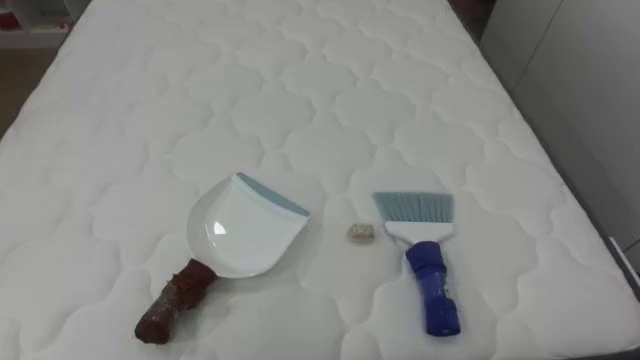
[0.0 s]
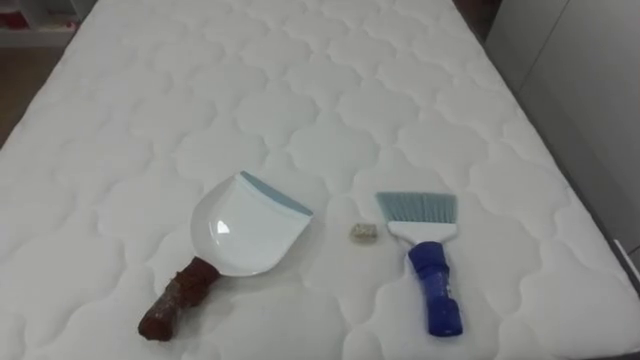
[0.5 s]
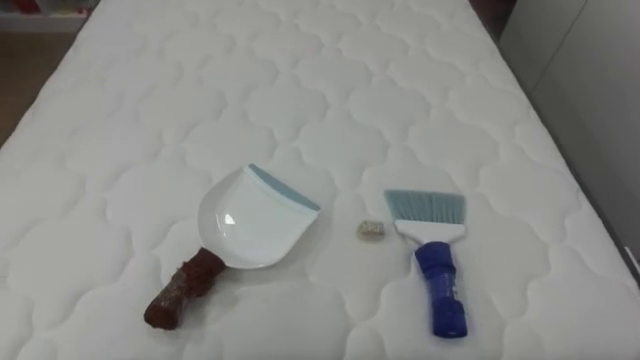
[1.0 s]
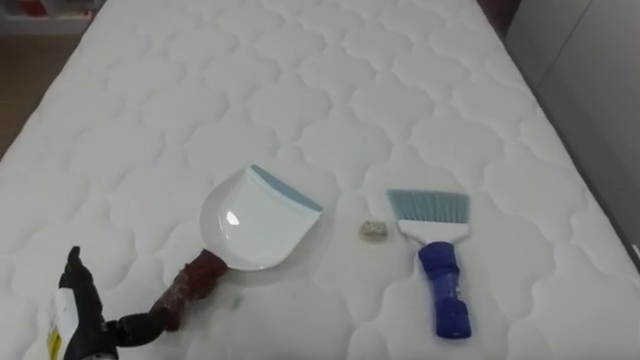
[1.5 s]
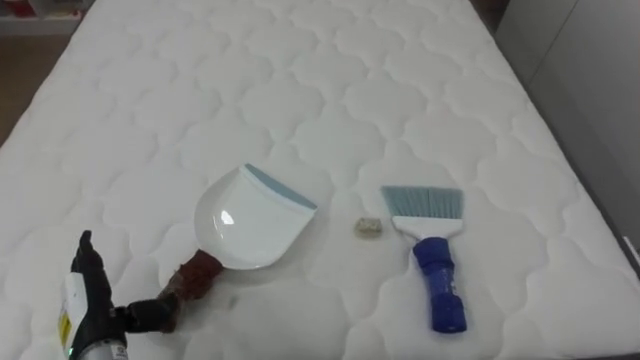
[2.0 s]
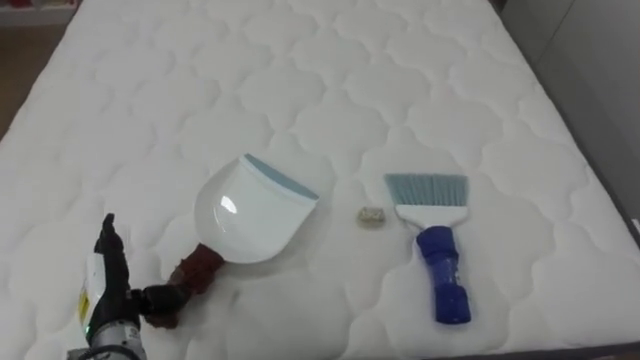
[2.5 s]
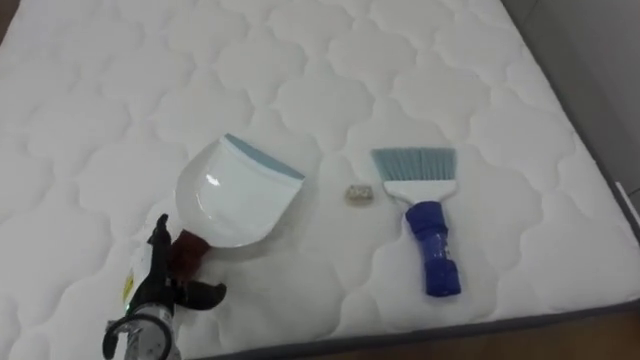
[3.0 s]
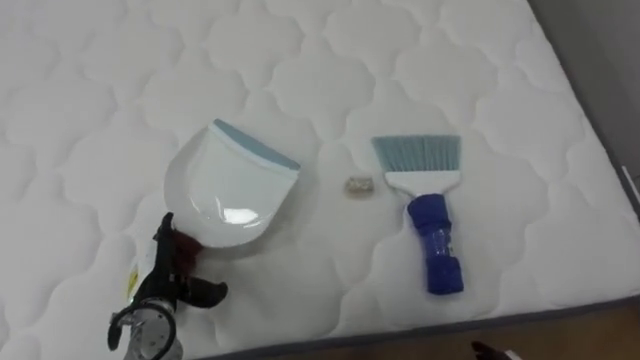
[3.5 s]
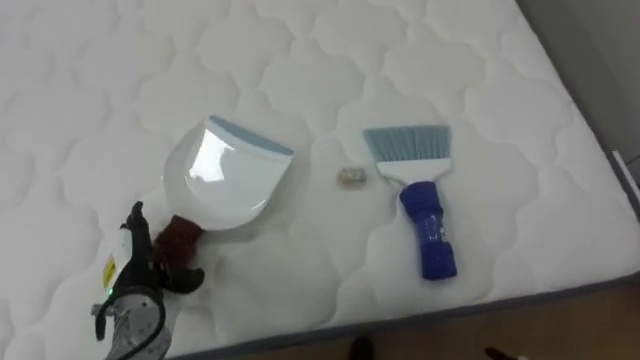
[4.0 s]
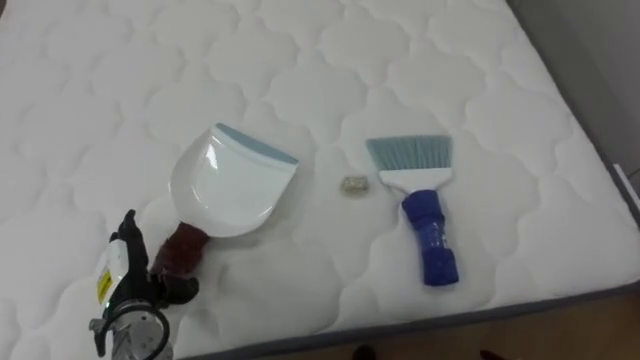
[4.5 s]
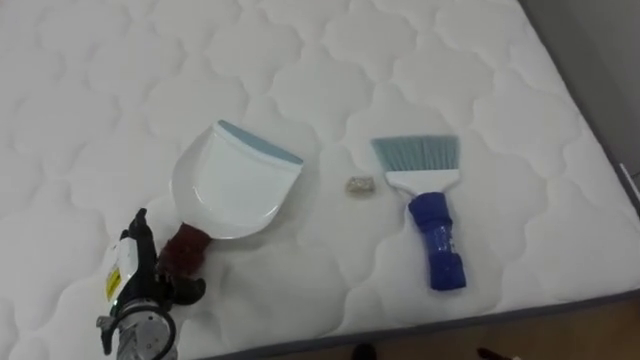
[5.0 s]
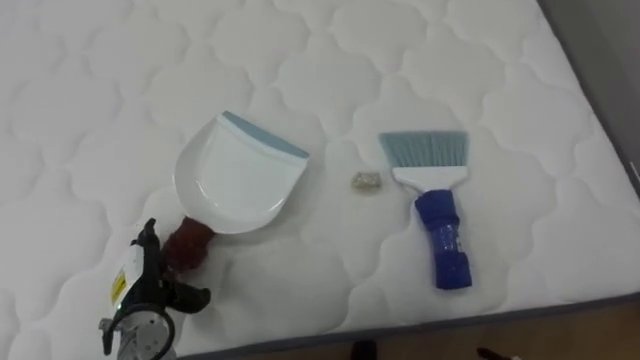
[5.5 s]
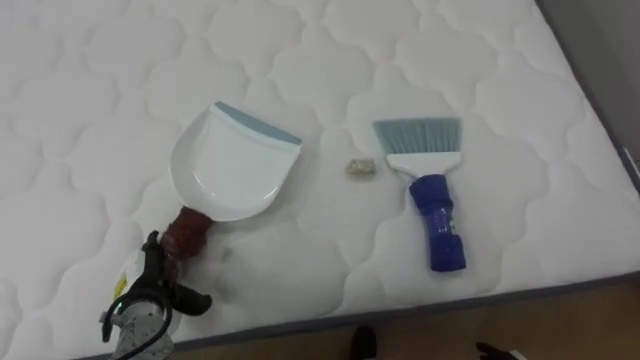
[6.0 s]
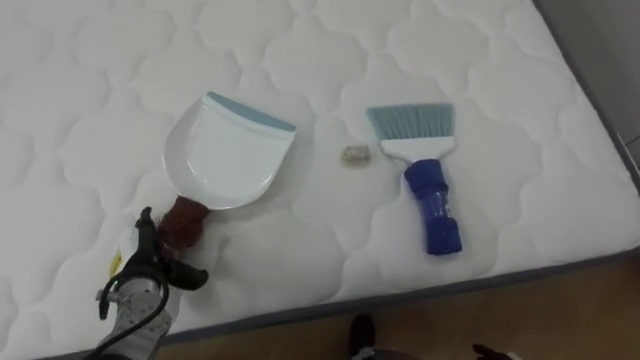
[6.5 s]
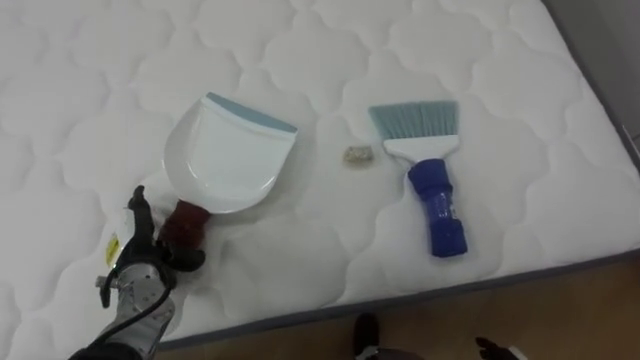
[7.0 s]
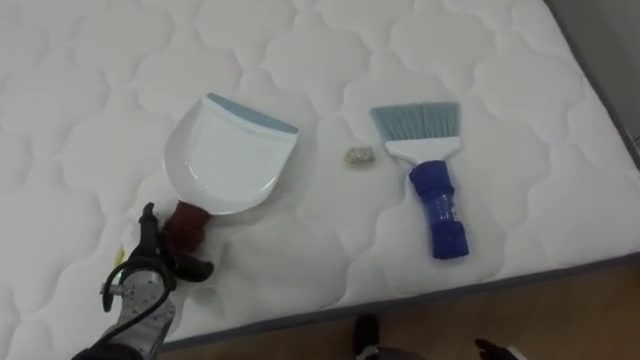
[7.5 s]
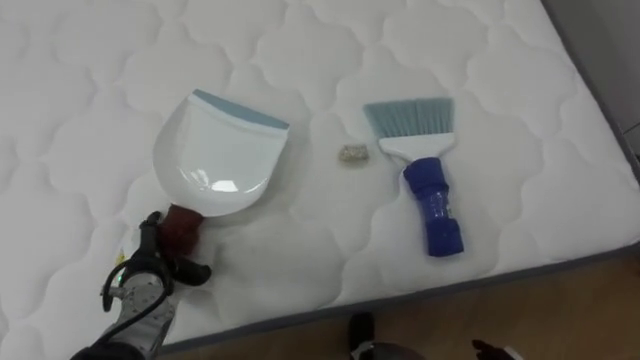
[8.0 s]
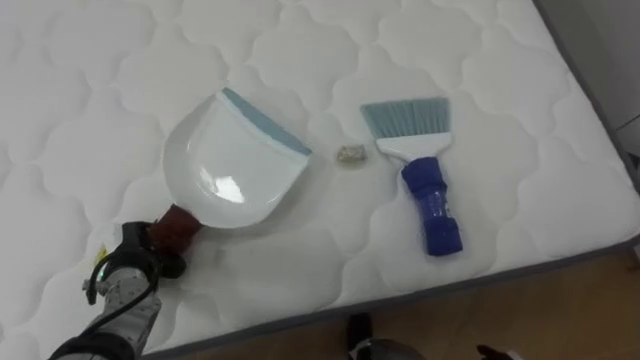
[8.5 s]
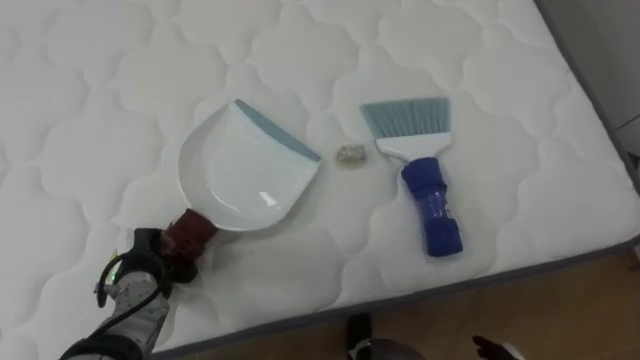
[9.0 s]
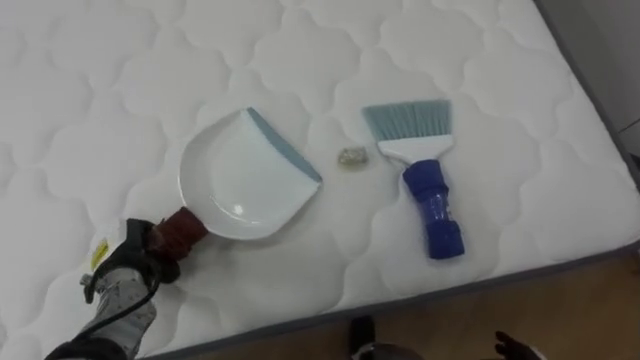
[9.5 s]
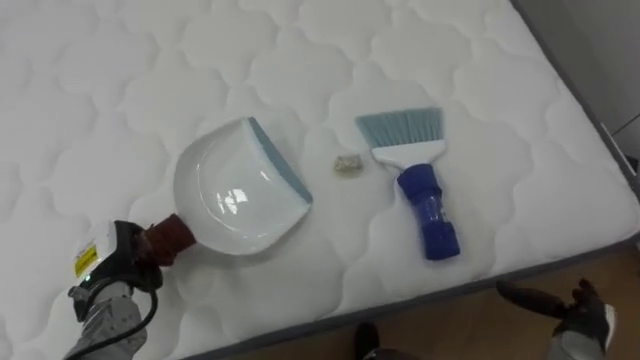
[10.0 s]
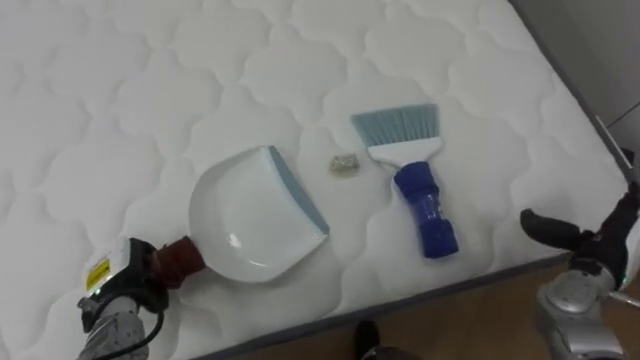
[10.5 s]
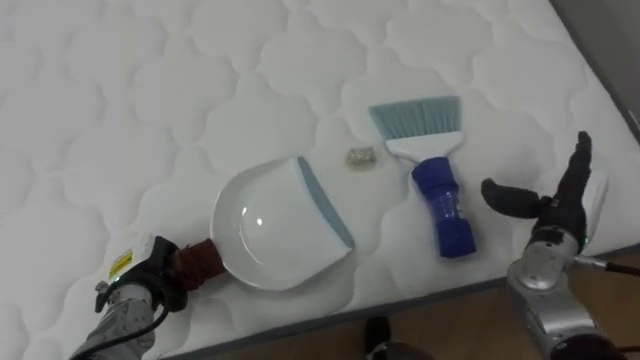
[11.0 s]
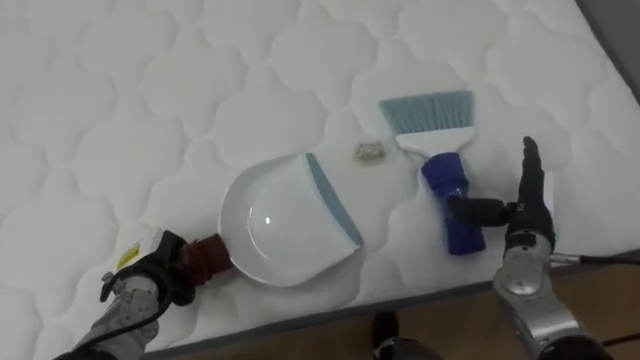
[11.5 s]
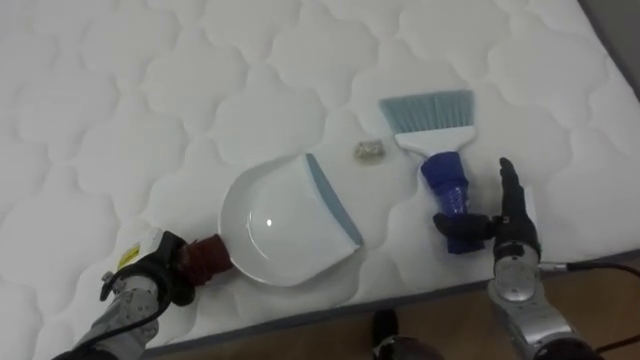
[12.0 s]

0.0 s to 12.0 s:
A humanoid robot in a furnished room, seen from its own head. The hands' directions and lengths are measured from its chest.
Task of the whole recording: Pick up the brush on your right and the dustpan on your left. Use the brush to sweep the crumpled paper on the bed into the dustpan, then turn left and empty it into the basket.
2.0 to 4.0 s: The left hand goes approximately 5 cm forward.
8.0 to 10.0 s: The left hand closes its fingers.
10.0 to 12.0 s: The left hand moves approximately 5 cm, while the right hand heads forward, upward and to the left, covering about 15 cm.

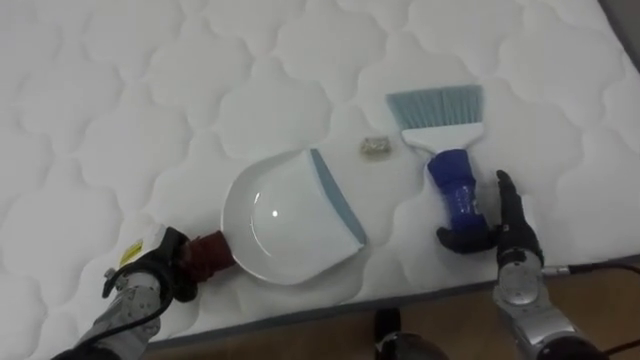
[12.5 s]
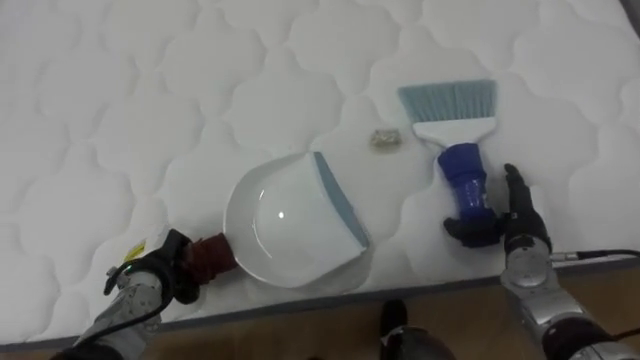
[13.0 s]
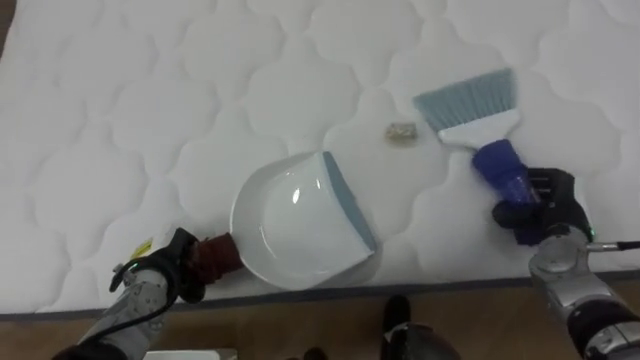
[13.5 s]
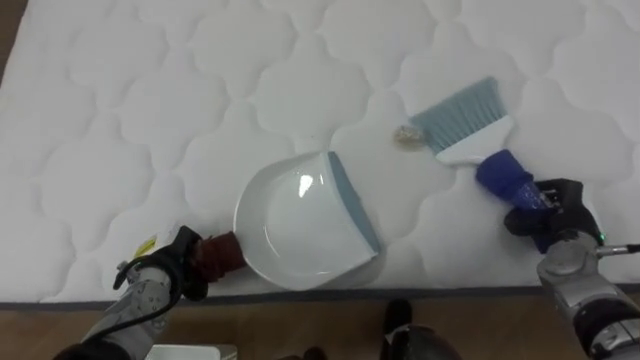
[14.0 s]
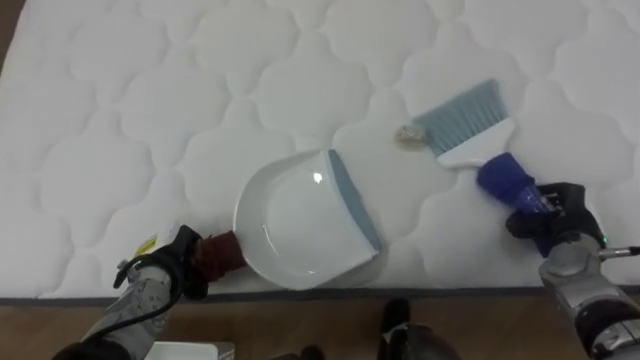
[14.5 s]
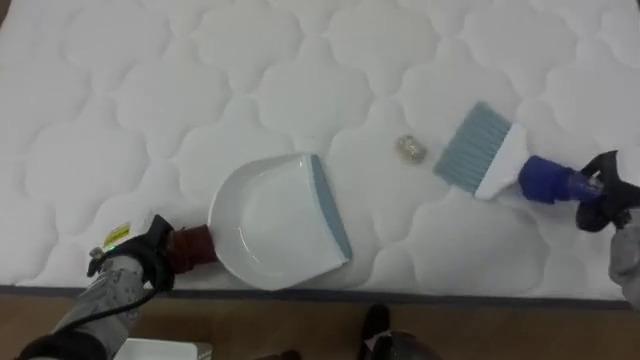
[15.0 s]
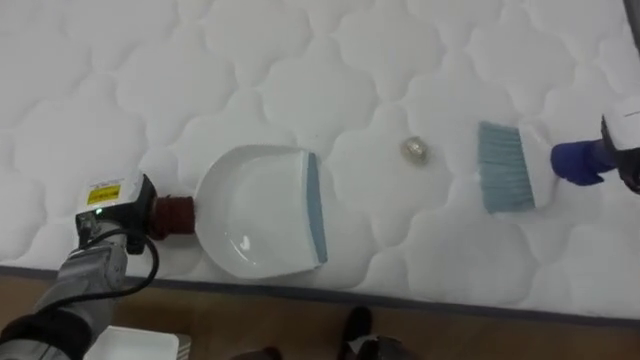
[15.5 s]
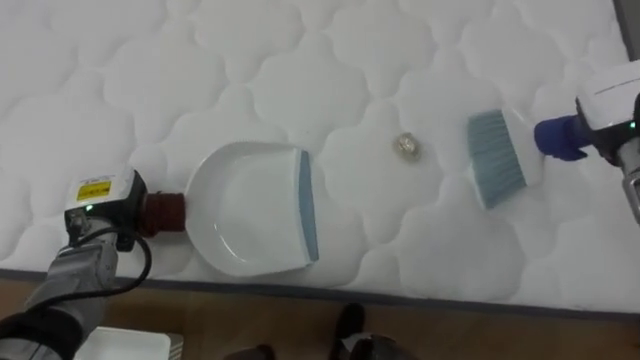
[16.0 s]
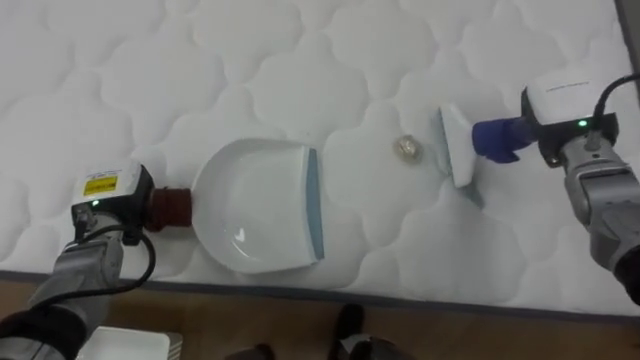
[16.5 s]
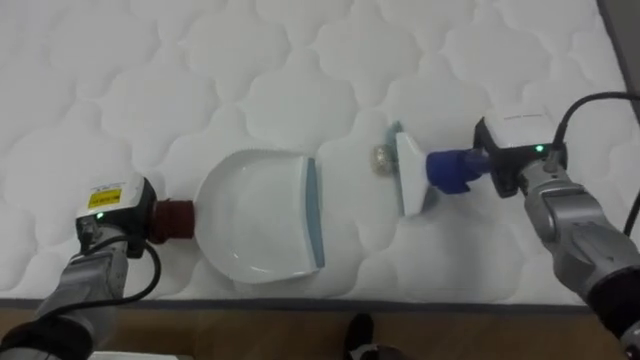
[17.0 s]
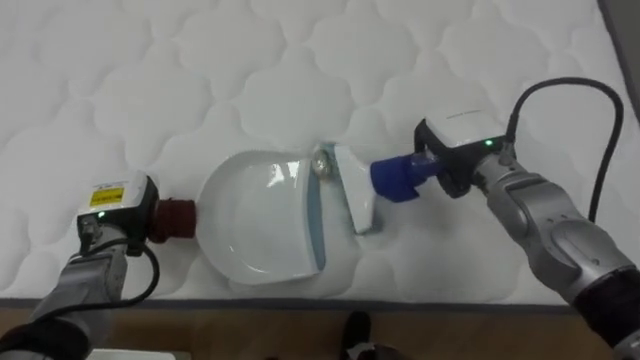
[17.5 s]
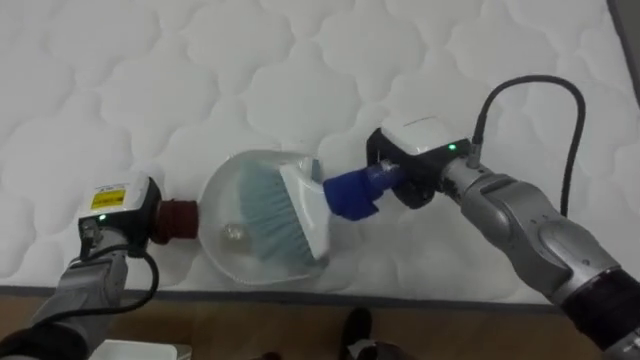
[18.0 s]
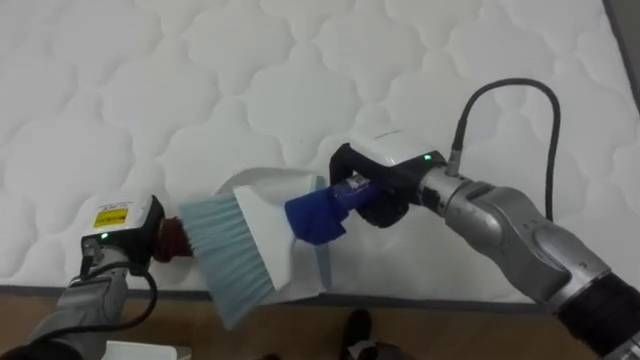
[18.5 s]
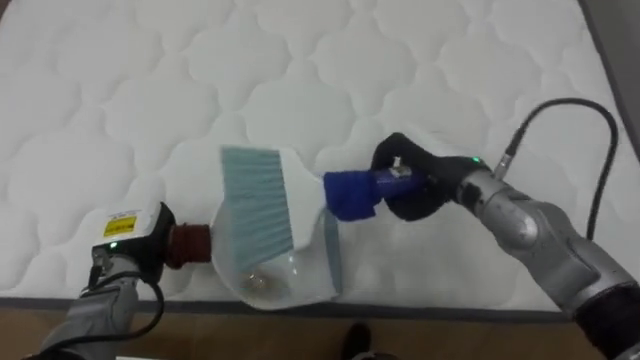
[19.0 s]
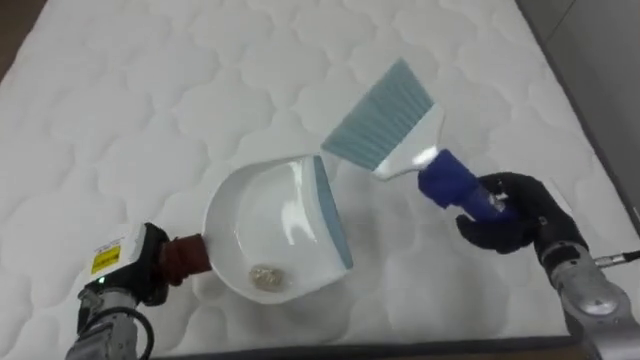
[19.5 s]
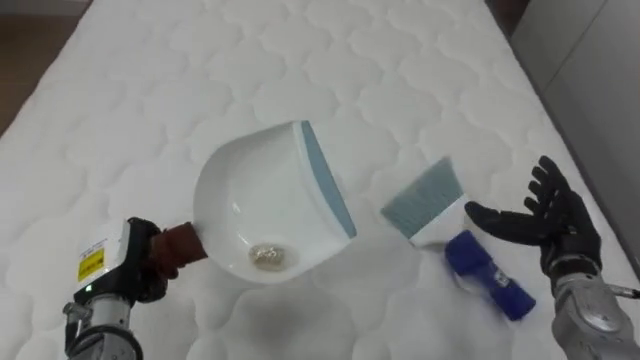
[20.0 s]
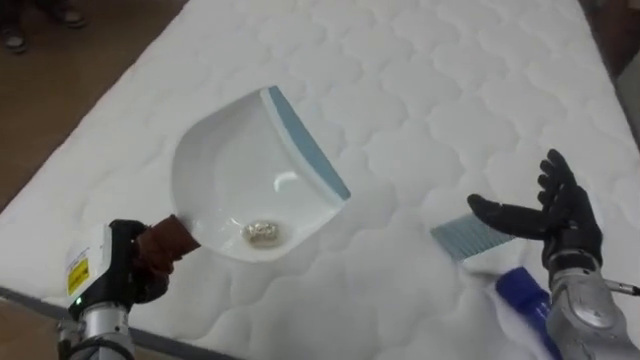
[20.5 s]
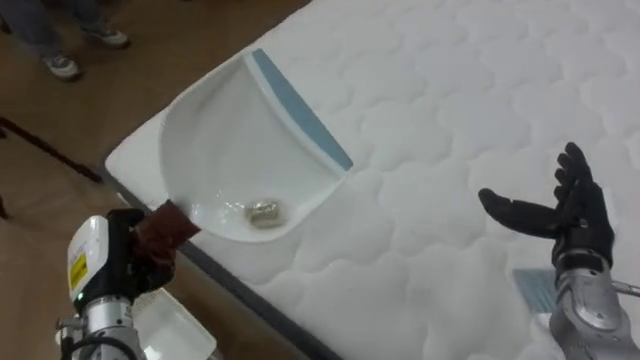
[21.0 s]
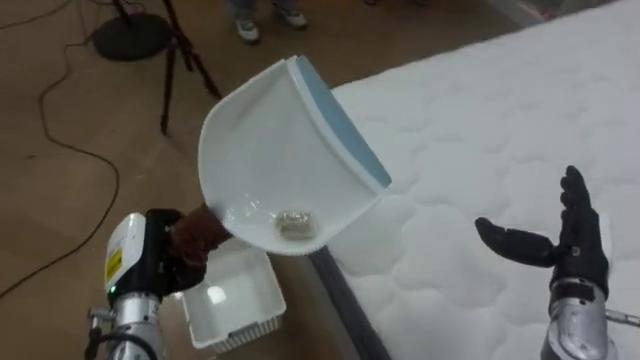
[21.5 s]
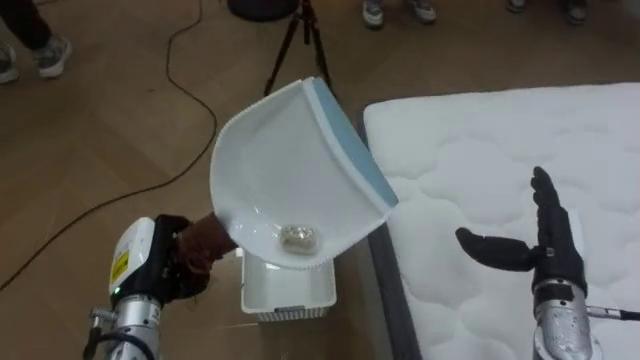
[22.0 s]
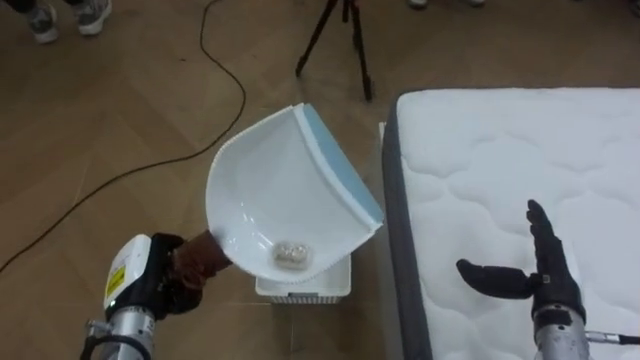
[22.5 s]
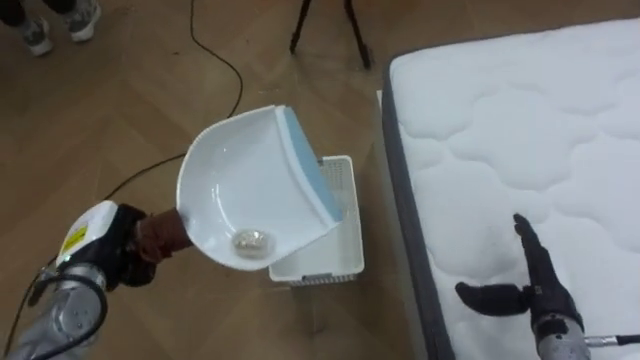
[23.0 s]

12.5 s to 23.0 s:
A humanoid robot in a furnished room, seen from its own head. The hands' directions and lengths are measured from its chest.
Task of the whole recording: Pick up the brush on your right and the dustpan on your left. Use the brush to sweep the crumpled paper on the bed into the dustpan, then turn left and empty it into the basket.
12.5 to 14.5 s: The right hand is displaced to the right by some 10 cm, and closes up.
14.5 to 16.5 s: The left hand goes some 10 cm upward and to the left.
16.5 to 19.0 s: The right hand goes approximately 15 cm to the left. Meanwhile the left hand ends up some 5 cm from where it was.
19.0 to 21.0 s: The robot rotates some 40 degrees to its left. The right hand moves to the right, roughly 20 cm, and opens; the left hand is displaced backward by approximately 5 cm.
21.0 to 23.0 s: The robot rotates some 55 degrees to its left. The right hand goes approximately 10 cm downward and backward.
